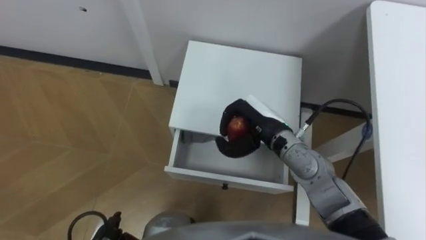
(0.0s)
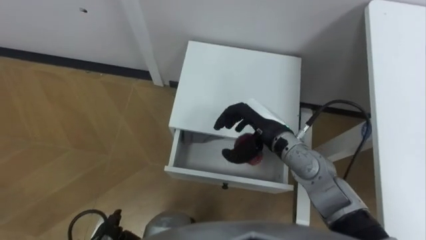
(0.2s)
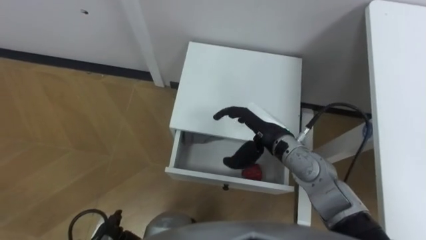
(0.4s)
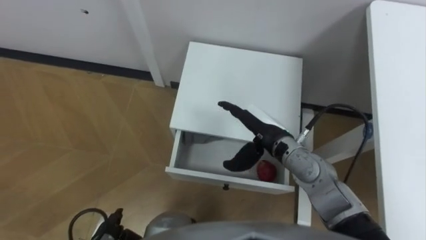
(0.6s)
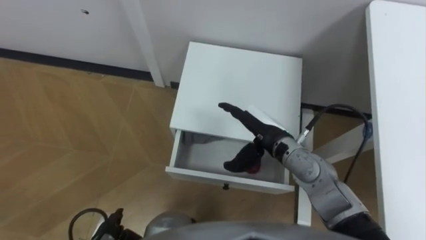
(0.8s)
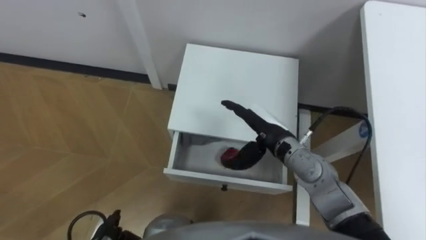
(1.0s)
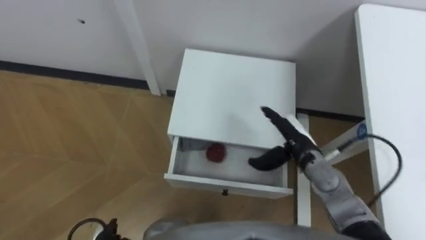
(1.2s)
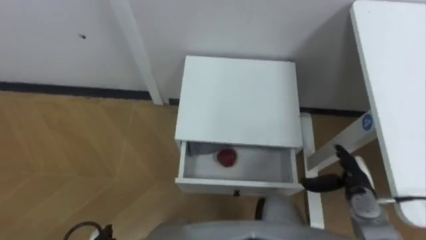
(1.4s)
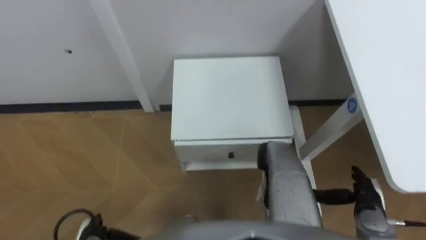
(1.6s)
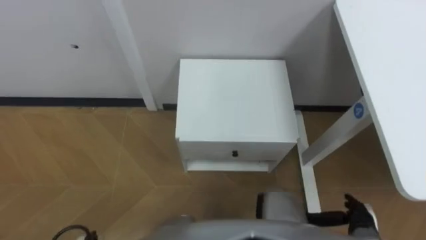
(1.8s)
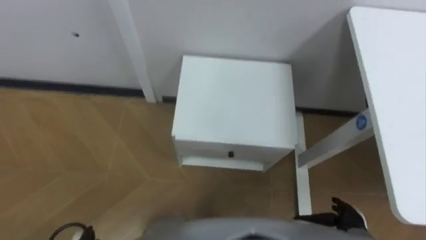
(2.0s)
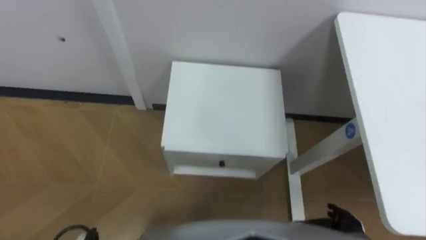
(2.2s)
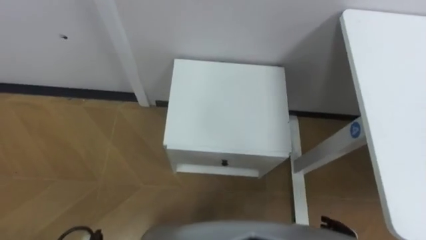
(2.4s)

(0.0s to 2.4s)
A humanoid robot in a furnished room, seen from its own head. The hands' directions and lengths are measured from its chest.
Task of the whole recording: Pick up the apple from the table, put it in the drawer, and close the drawer with leg.
0.0s - 1.2s: The right hand travels to the right and downward by roughly 10 cm, and opens up.
1.2s - 2.4s: The right hand shifts about 25 cm backward, downward and to the right.

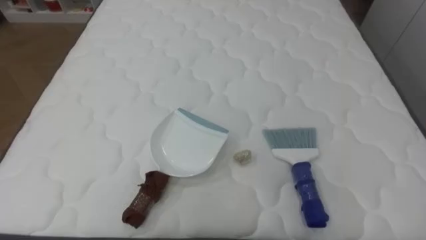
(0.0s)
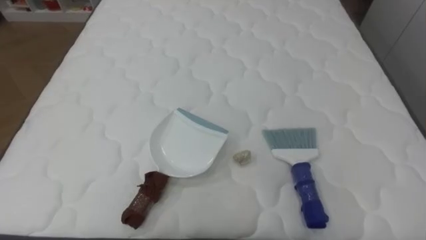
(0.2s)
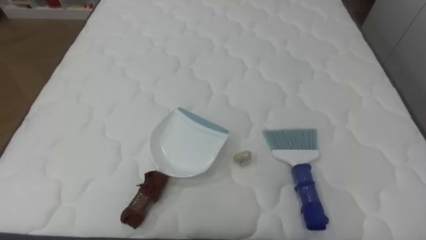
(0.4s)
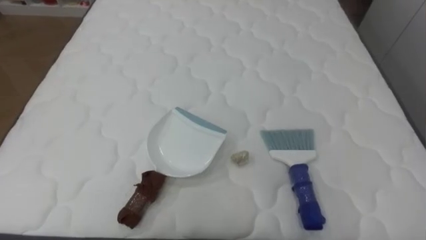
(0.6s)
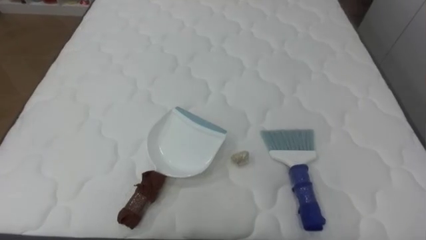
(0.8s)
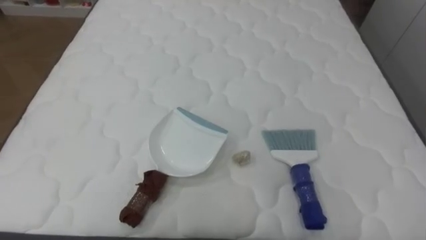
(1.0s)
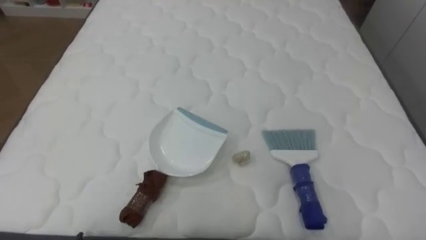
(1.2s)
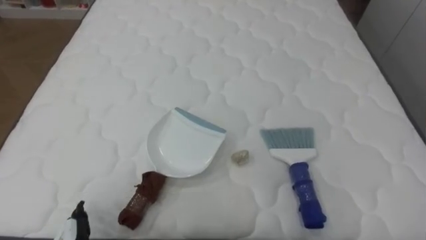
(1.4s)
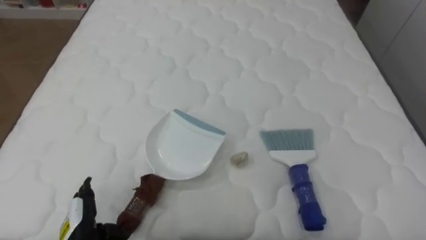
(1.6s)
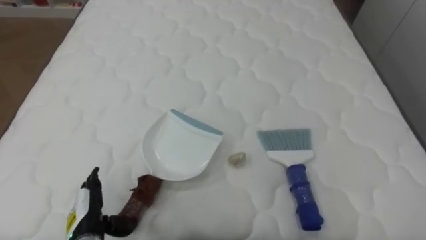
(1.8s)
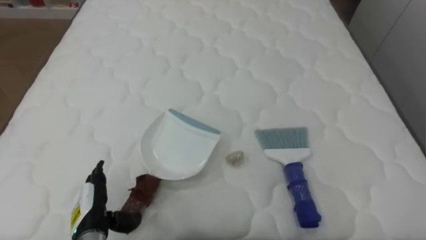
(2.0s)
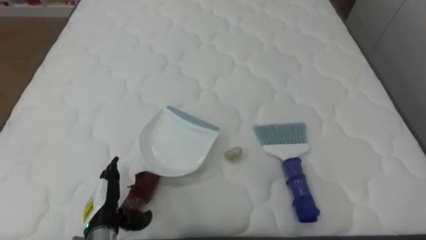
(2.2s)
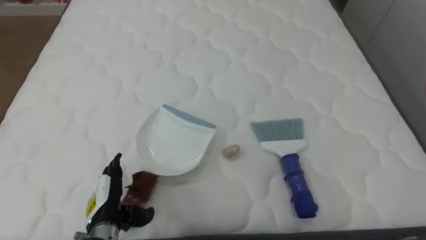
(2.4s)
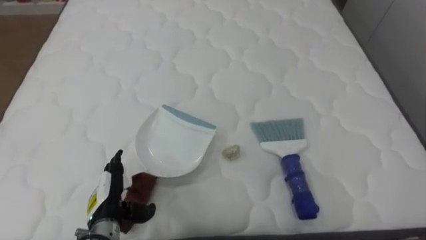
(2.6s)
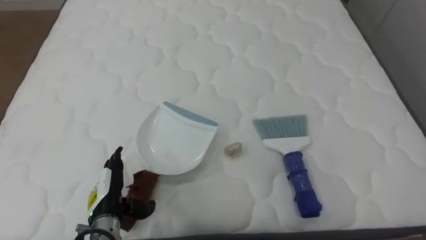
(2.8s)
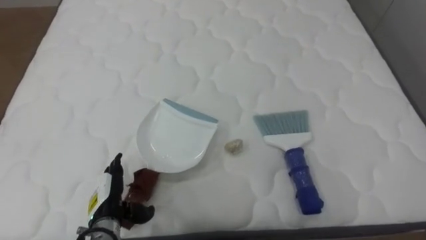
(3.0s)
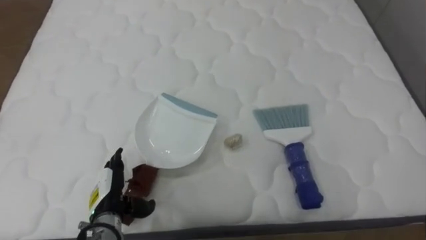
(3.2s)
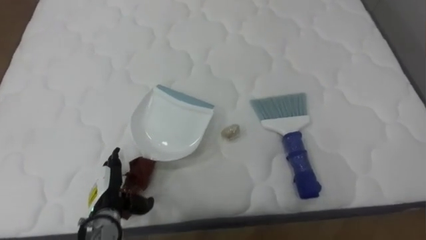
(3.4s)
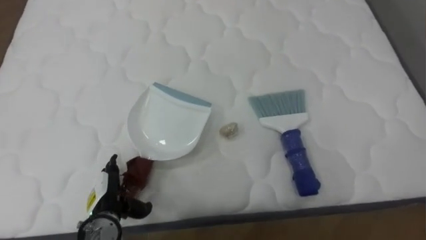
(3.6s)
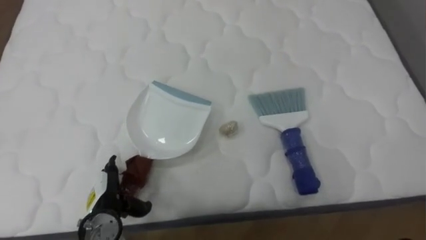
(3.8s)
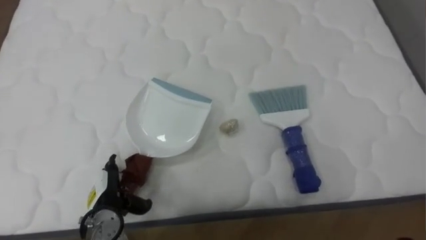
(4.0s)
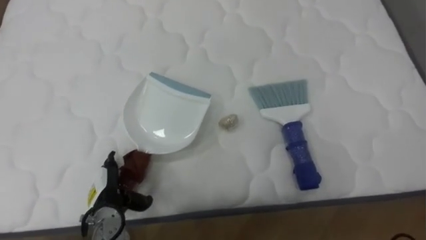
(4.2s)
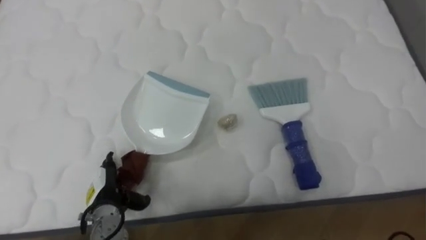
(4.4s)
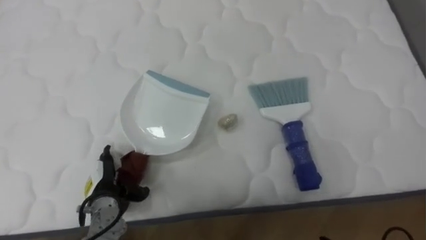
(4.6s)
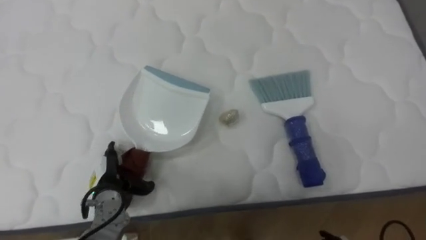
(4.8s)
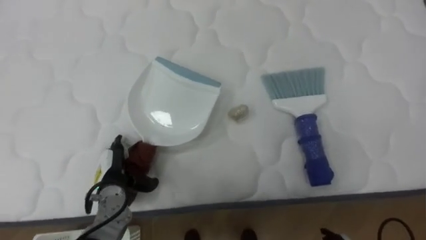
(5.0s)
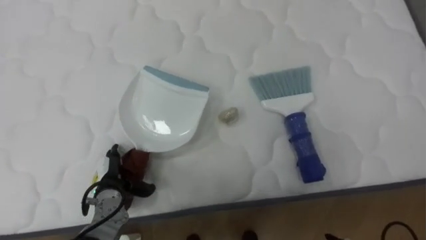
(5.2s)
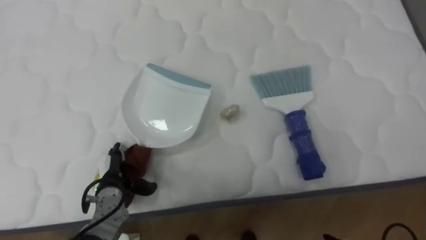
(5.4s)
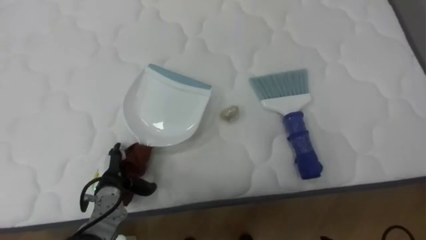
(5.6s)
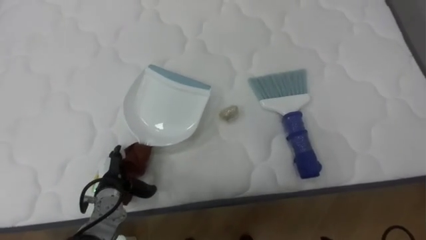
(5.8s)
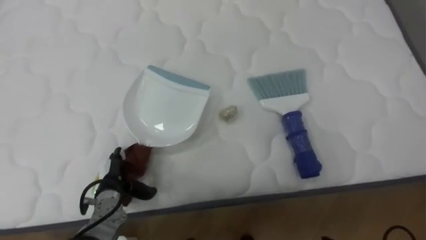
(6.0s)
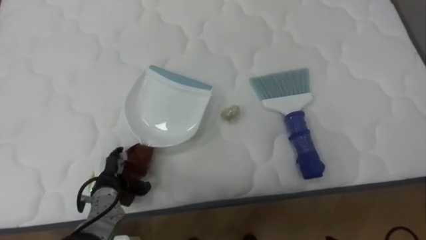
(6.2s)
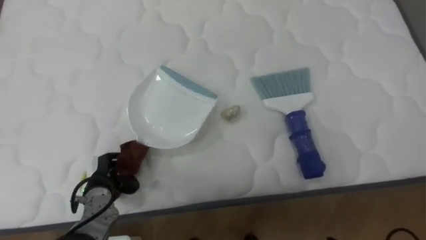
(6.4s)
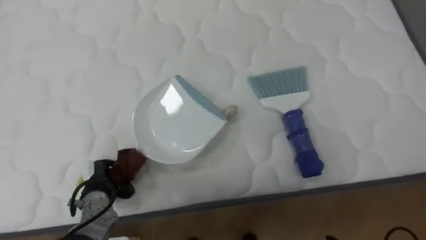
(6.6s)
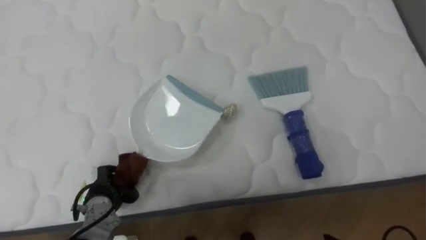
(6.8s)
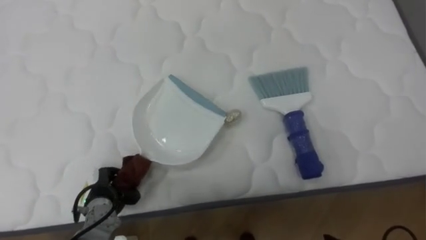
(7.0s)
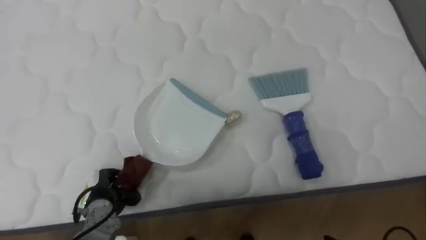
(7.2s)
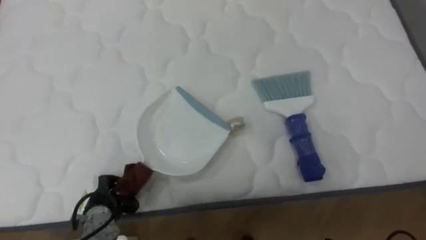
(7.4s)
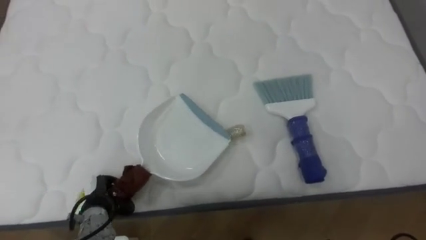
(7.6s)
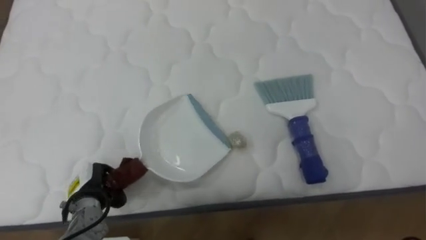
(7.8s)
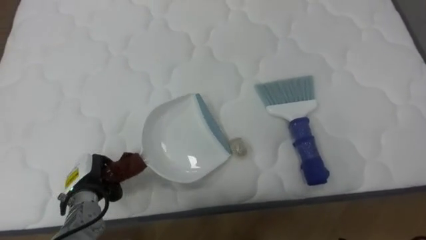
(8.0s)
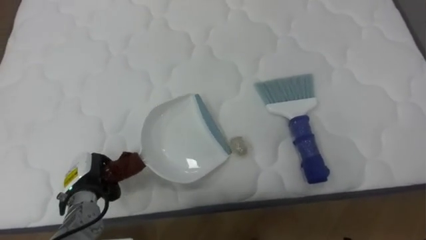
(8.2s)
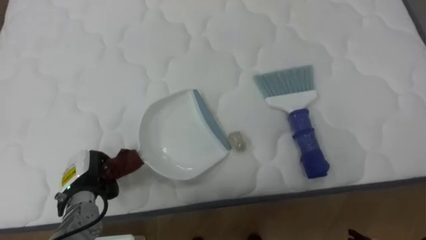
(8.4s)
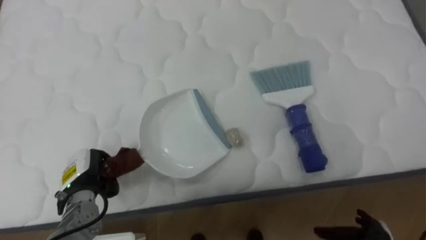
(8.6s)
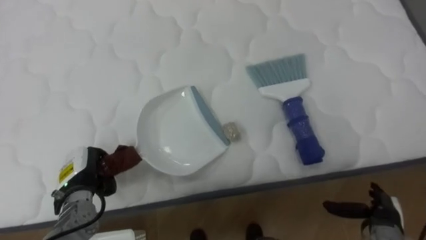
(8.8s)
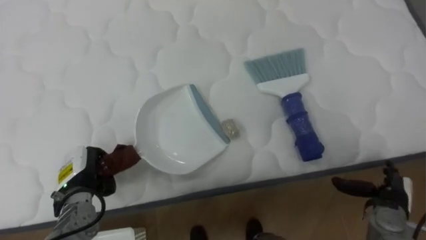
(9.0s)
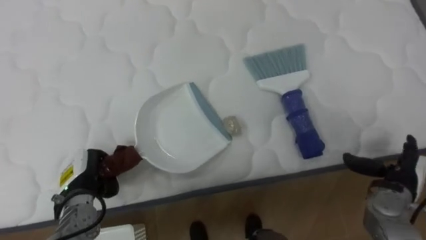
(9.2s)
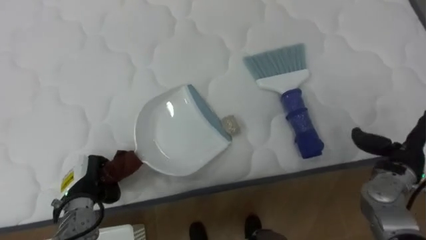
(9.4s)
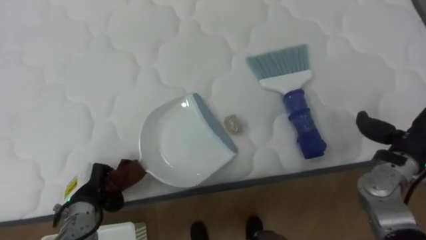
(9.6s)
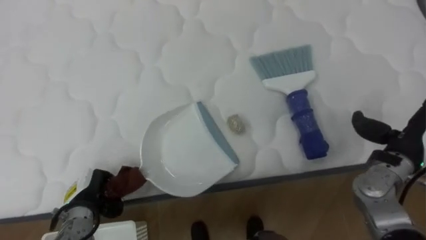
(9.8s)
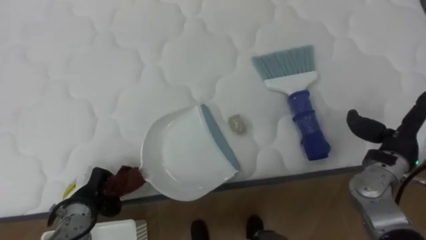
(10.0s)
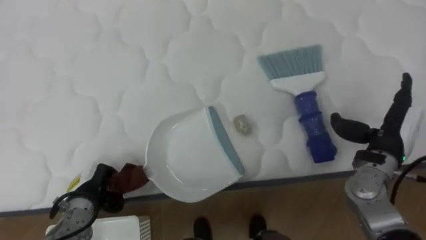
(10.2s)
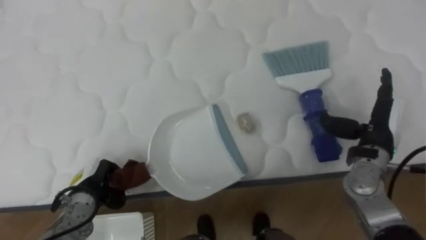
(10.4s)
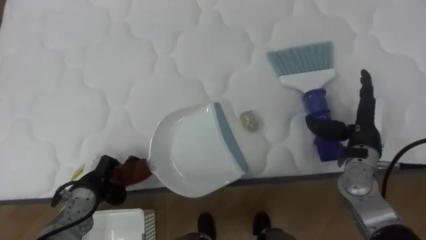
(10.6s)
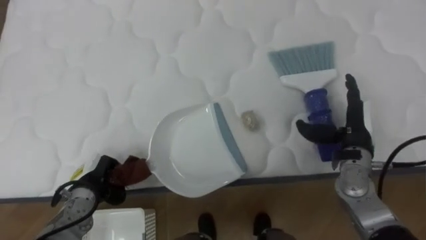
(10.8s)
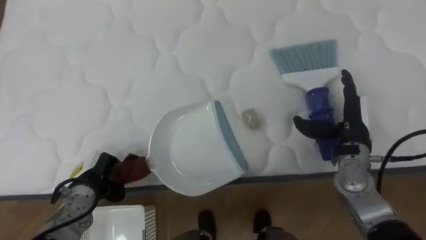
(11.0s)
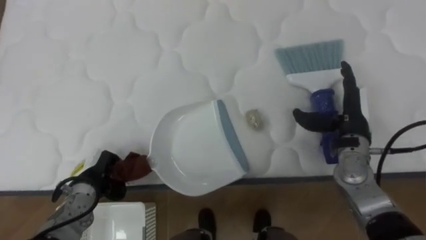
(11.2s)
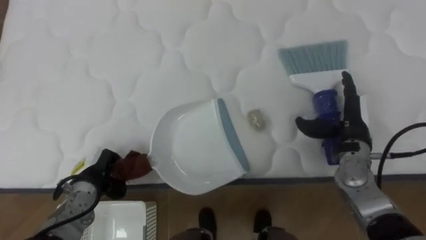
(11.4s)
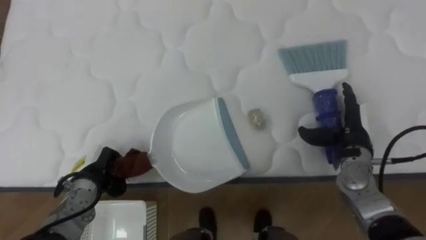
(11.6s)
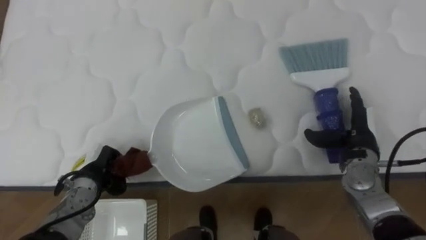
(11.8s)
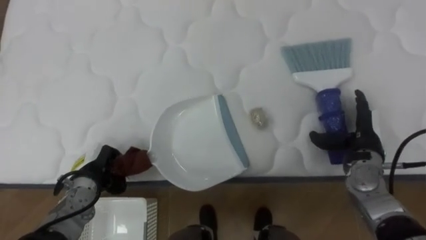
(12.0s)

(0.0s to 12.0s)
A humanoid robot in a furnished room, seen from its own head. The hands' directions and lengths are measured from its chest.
Task of the whole recording: Pick up the brush on your right and the dustpan on your left. Use the brush to sweep the crumpled paper on the bed into the dustpan, then turn left and empty it into the basket.
1.6s - 3.0s: The left hand shifts roughly 5 cm forward.
6.0s - 7.6s: The left hand closes.
7.6s - 9.0s: The left hand moves upward, roughly 5 cm.
9.0s - 10.4s: The right hand moves upward and forward, some 15 cm.

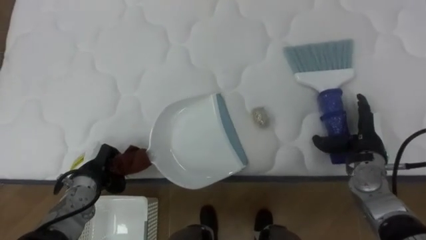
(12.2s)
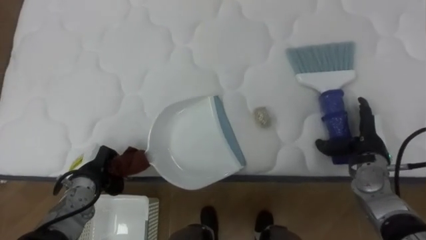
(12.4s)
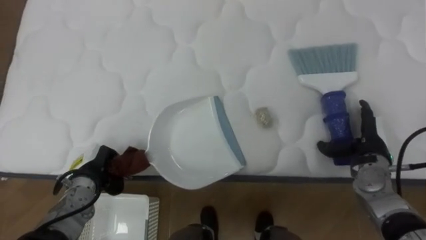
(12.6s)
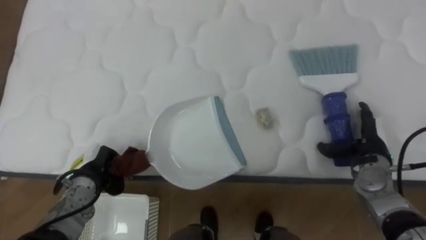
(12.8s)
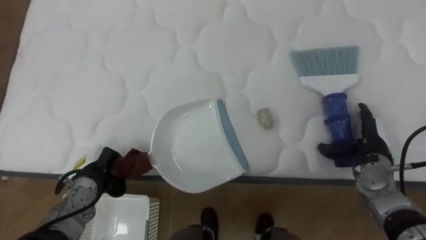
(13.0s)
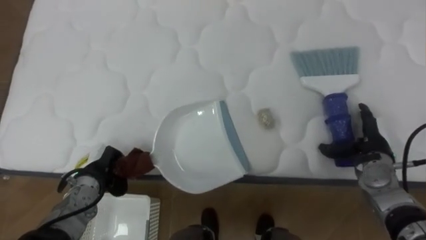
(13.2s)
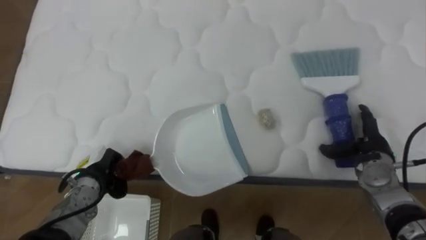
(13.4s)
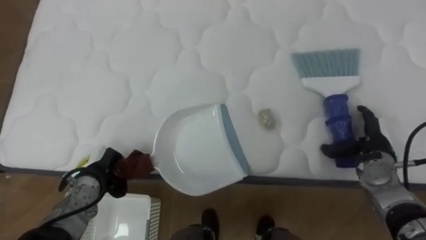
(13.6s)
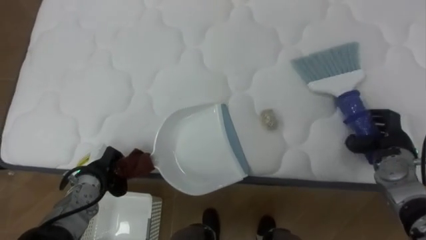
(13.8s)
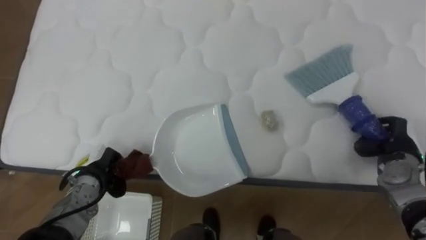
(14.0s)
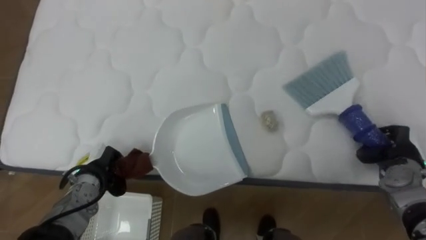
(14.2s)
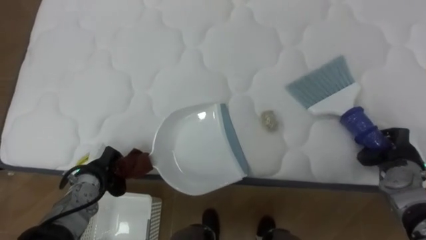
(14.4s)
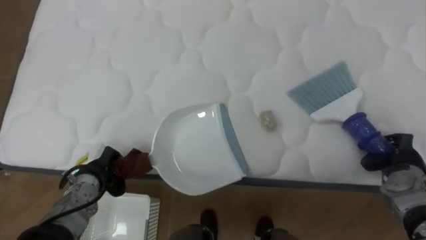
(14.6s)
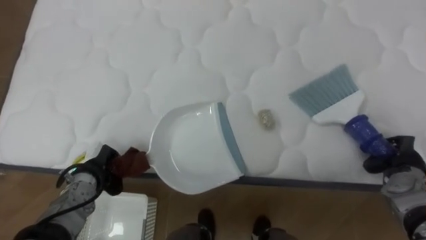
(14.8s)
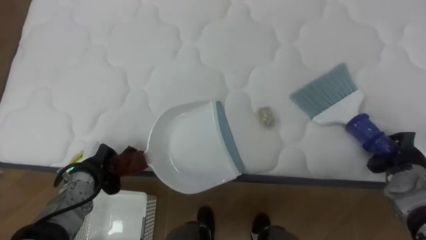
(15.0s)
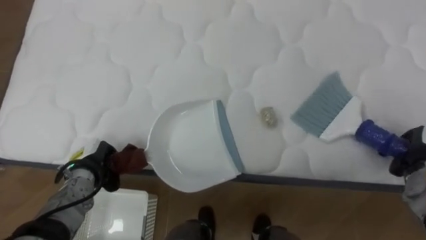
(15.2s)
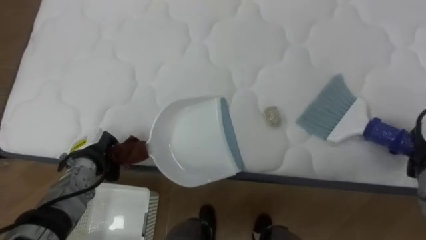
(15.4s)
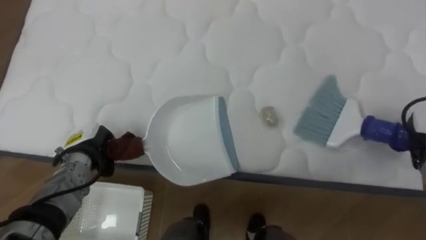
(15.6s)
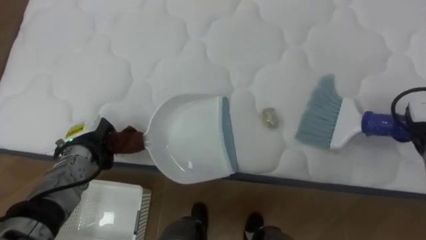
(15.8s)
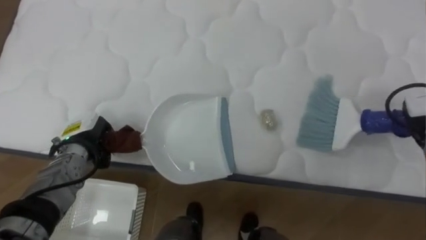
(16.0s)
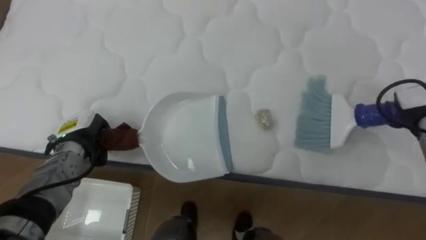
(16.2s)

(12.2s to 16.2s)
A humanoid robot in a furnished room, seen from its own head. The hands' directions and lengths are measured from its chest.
Task of the whole recording: Pick up the brush on your right and the dustpan on your left. Use the brush to sweep the crumpled paper on the bed into the dustpan, then turn left and empty it into the basket.
13.6s - 14.8s: The right hand moves to the right, approximately 5 cm, and closes its fingers.
14.8s - 16.2s: The left hand heads upward, covering approximately 5 cm.
